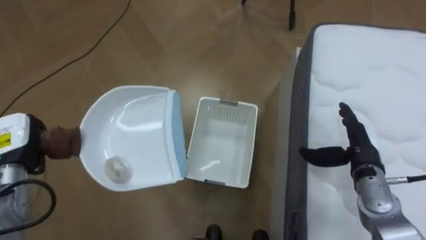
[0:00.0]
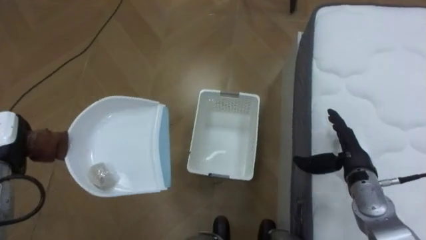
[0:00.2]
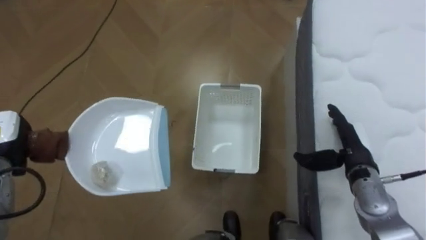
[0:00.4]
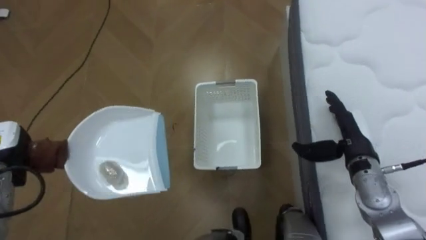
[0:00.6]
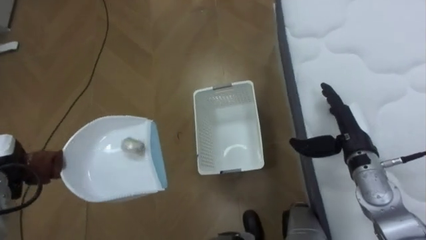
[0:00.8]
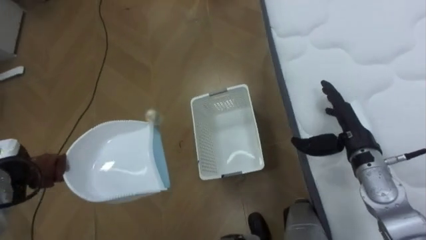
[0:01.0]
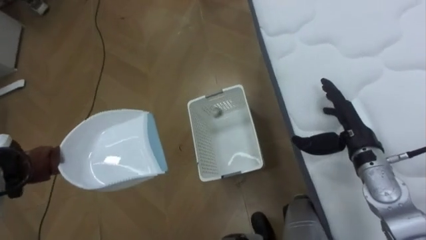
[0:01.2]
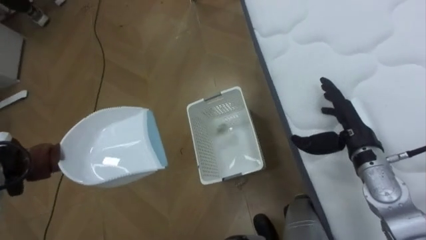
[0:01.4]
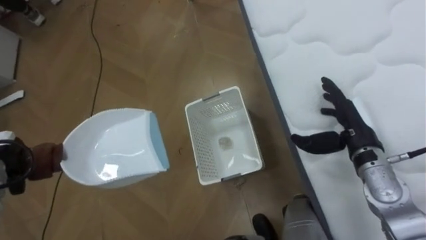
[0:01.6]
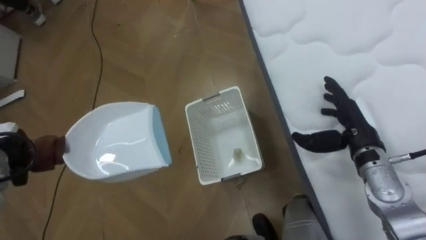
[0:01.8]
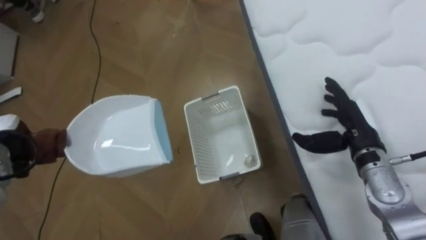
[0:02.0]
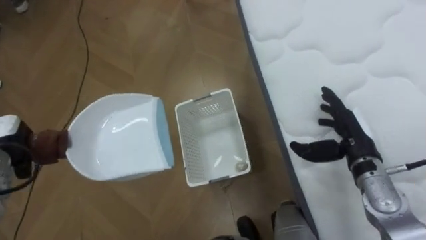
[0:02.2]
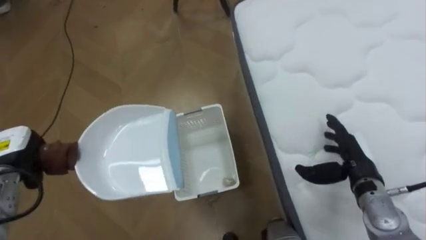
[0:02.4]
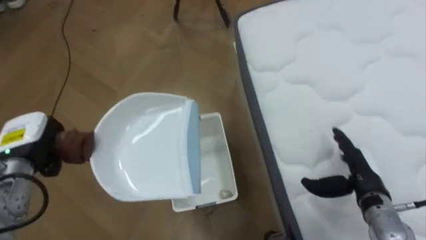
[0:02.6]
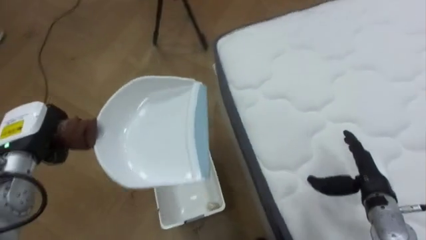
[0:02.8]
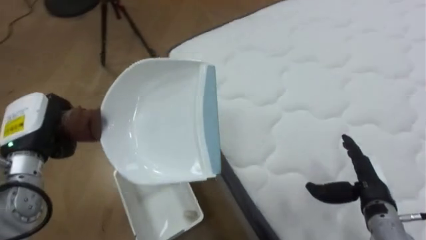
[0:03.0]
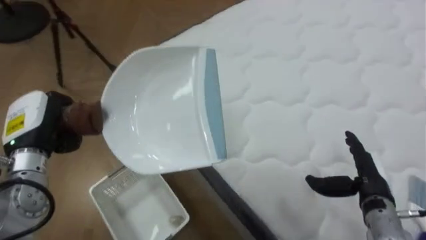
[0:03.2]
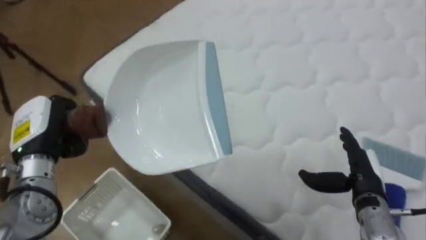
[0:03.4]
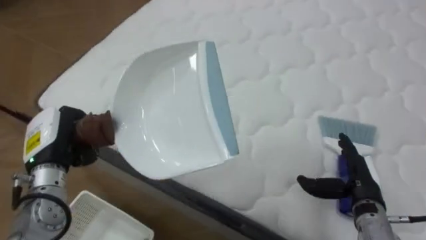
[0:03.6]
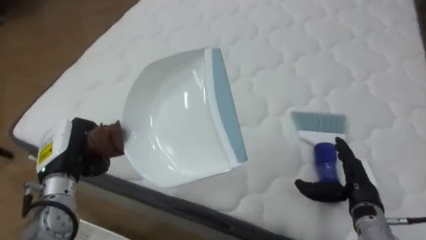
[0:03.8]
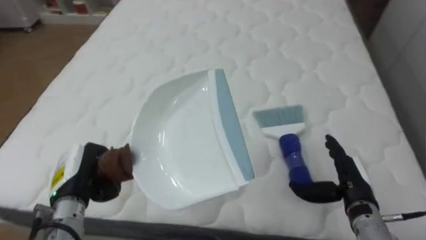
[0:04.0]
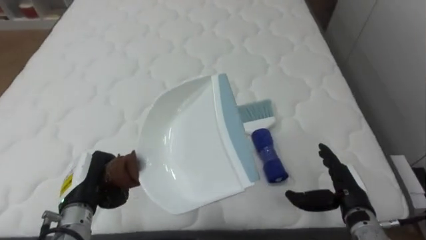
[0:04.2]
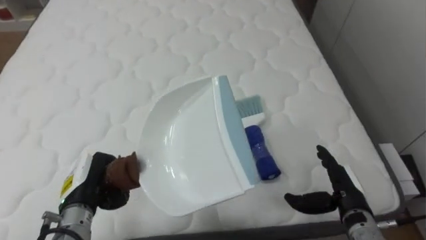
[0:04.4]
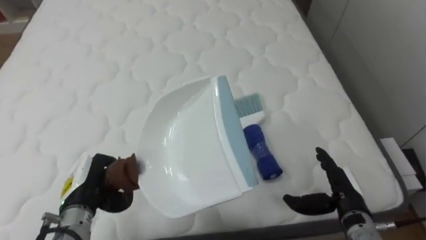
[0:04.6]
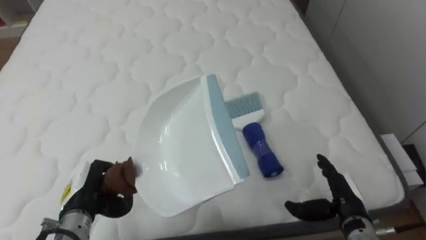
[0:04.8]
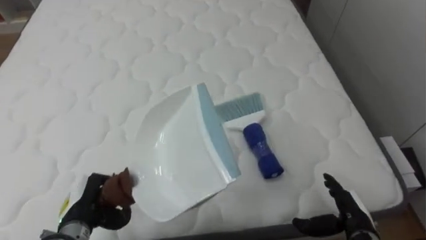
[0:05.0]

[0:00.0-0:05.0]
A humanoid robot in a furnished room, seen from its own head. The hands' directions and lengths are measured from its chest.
Task of the whole recording: Pick up the brush on your right and the dustpan on your left. Use the brush to sweep the crumpled paper on the bed into the dustpan, then turn left and empty it into the basket.
0:01.6 to 0:03.4: The robot rotates about 60 degrees to its right. The right hand is displaced backward and downward by about 10 cm. The left hand heads to the right and upward, covering about 15 cm.
0:03.4 to 0:05.0: The robot faces about 40 degrees further to its right. The left hand goes about 15 cm downward and backward. The right hand travels downward and backward by about 10 cm.

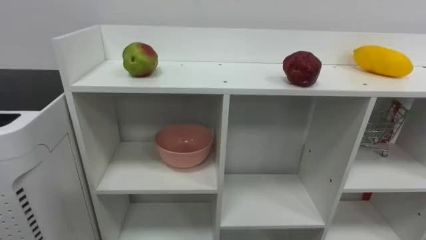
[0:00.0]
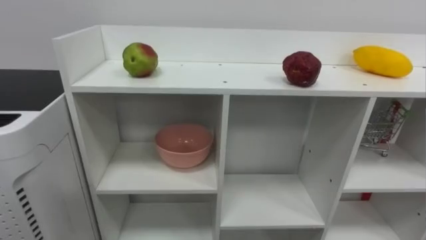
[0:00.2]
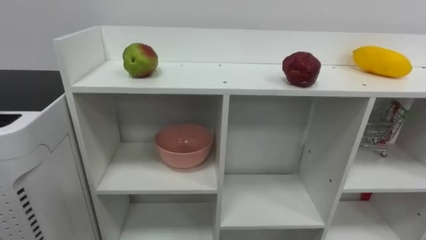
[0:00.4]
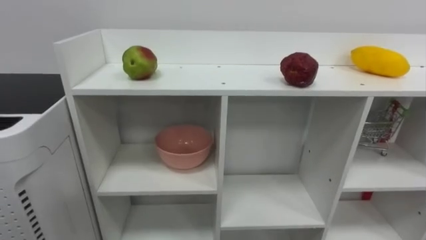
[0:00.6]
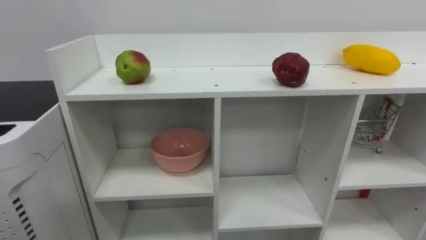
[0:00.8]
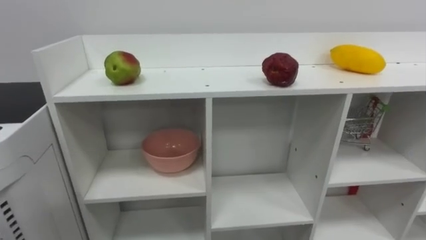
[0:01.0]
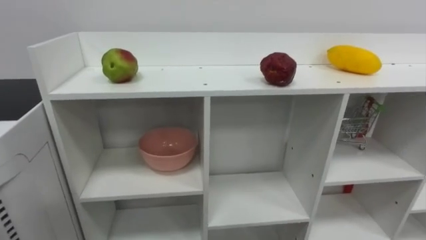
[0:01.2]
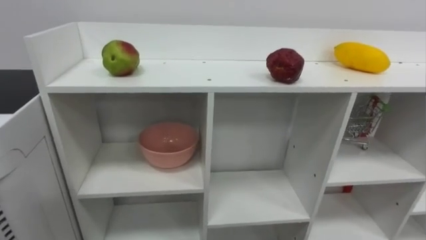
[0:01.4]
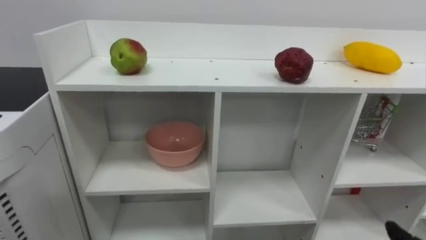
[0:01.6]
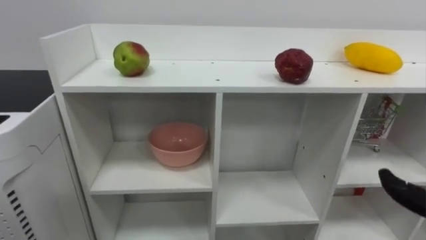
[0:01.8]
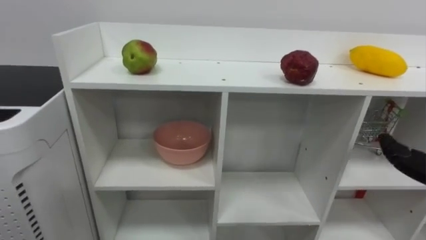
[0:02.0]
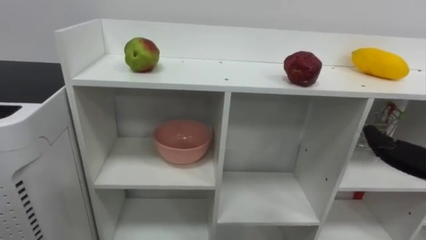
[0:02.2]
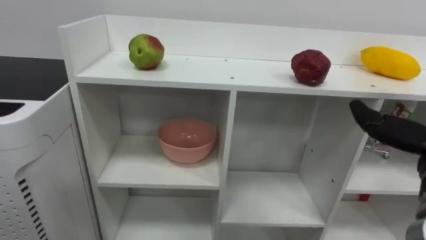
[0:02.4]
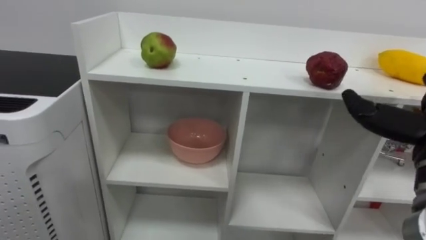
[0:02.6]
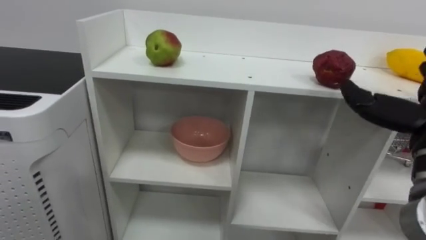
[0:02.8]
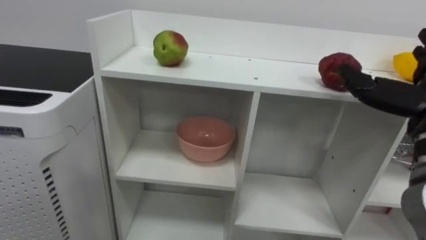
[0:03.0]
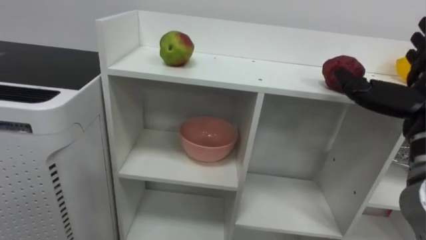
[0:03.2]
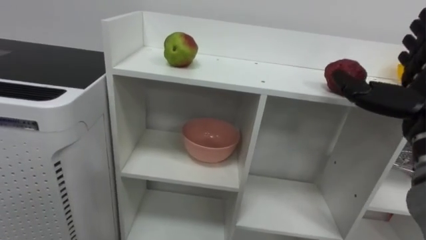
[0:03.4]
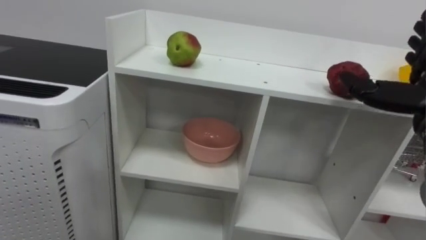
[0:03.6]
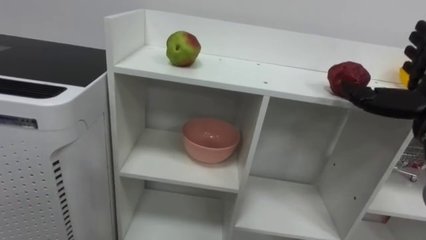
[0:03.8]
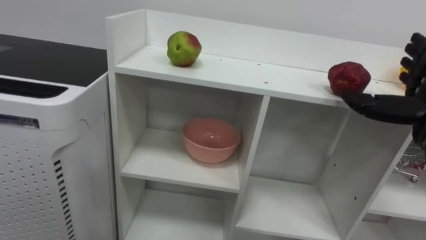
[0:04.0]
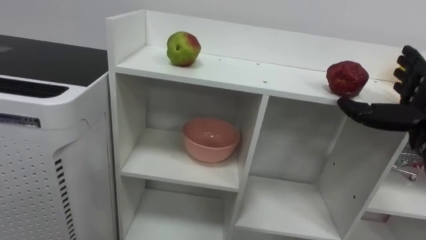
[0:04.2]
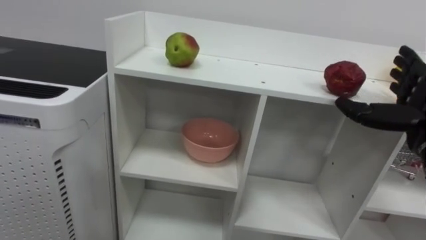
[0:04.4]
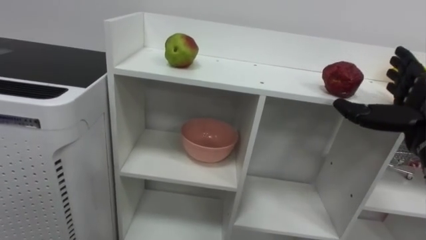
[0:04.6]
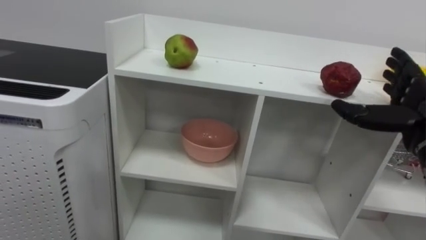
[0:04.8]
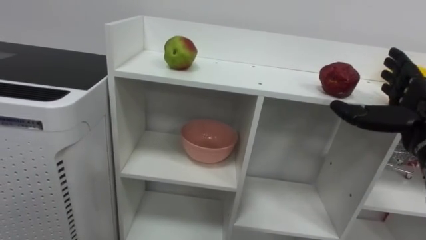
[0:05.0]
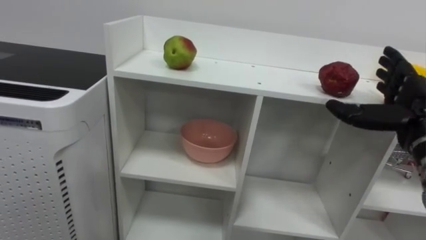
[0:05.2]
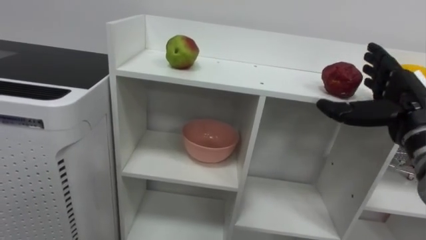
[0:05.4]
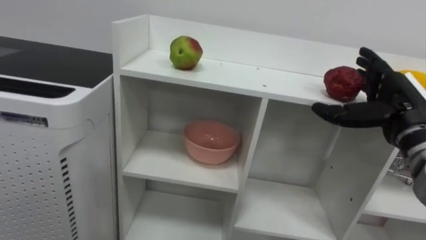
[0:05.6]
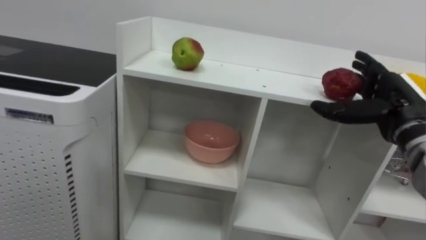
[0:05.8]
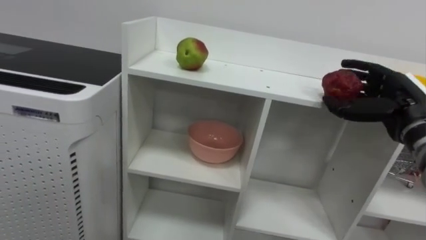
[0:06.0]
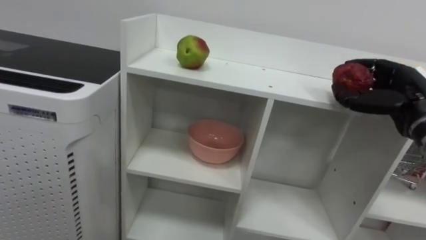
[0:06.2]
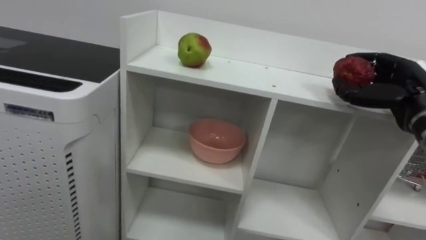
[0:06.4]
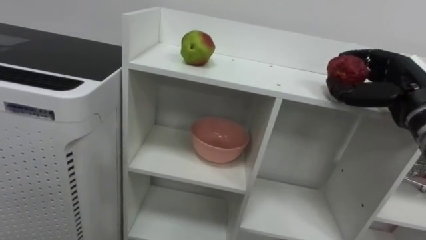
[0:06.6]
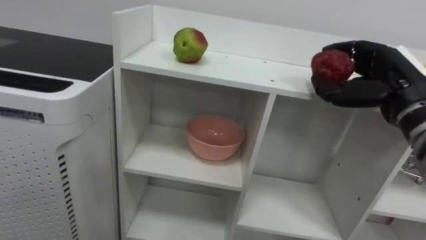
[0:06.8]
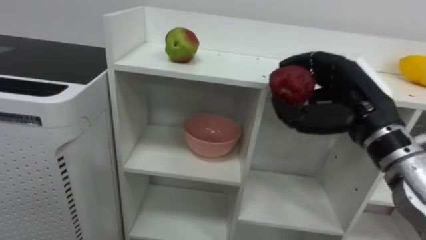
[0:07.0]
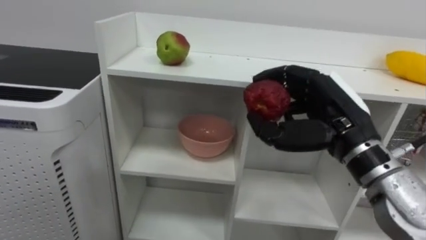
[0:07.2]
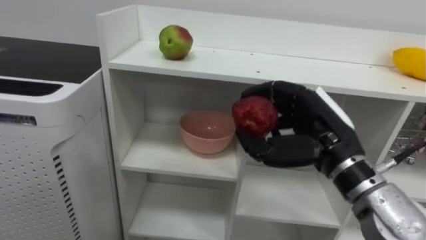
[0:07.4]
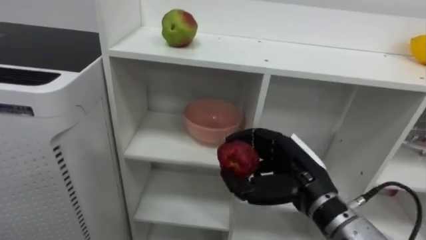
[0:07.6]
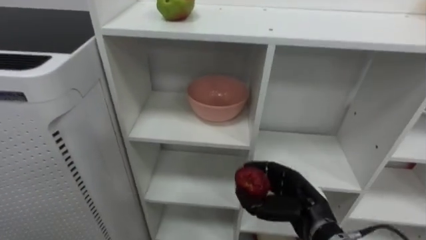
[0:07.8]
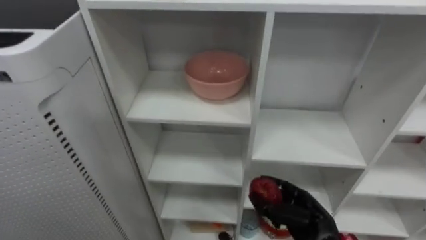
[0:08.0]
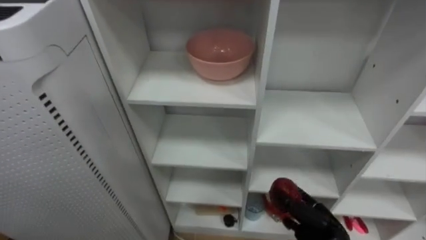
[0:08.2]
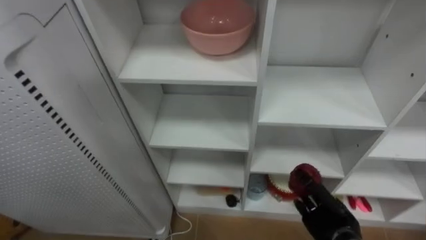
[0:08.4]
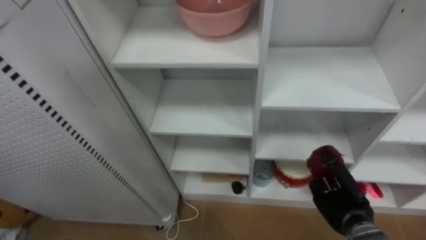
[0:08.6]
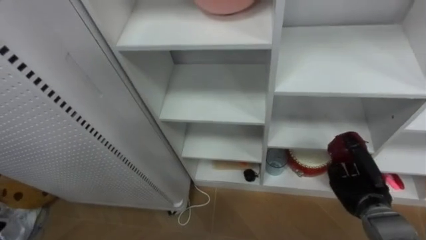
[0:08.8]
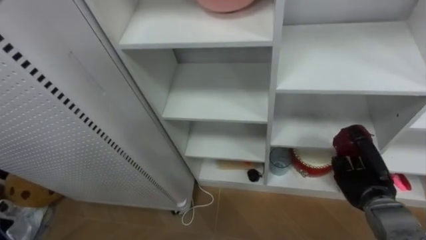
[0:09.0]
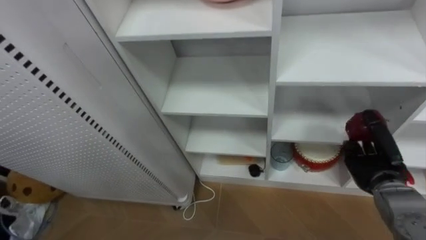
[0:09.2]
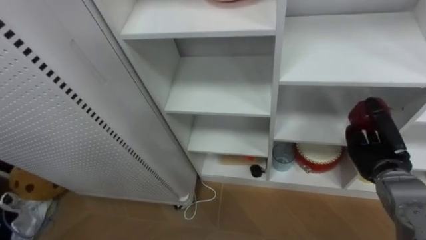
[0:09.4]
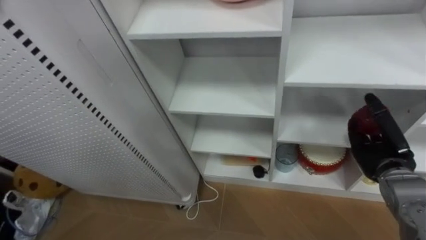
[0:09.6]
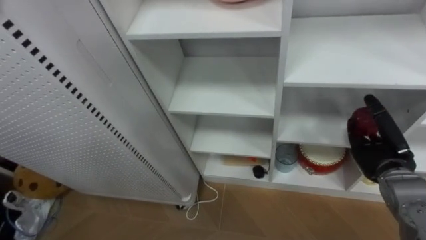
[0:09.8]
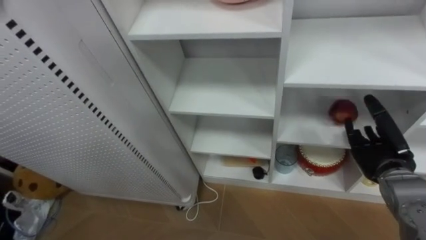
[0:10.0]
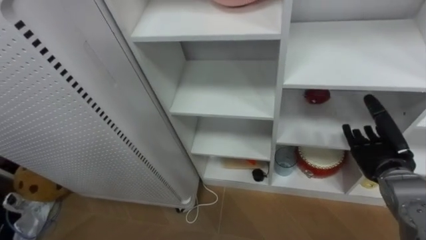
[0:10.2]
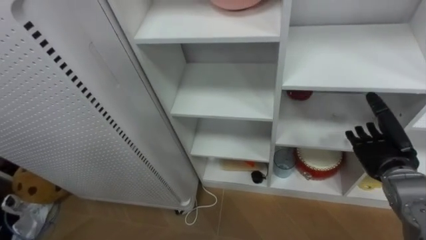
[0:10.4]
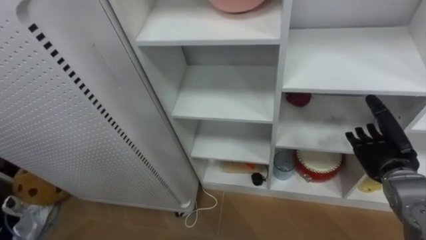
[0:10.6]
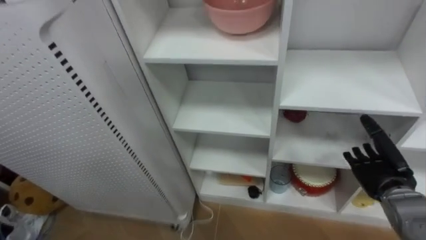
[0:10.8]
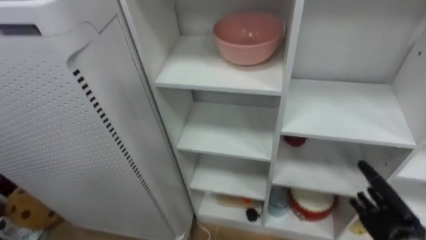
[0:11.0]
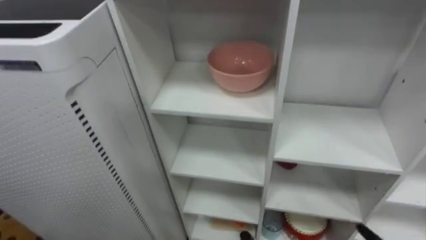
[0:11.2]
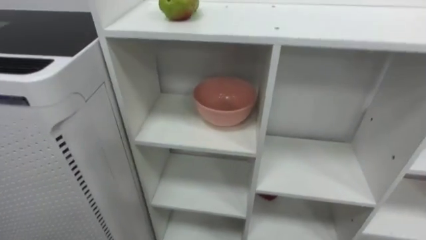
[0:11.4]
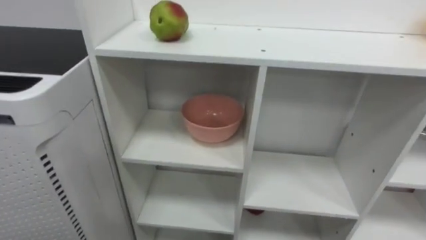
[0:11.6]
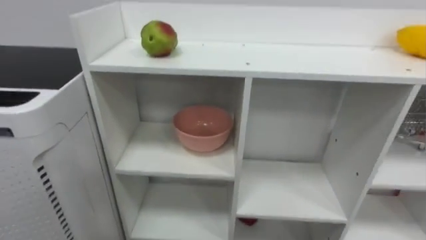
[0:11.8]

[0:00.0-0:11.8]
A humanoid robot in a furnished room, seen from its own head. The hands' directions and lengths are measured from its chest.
Task of the whole recording: Put the apple in the cell in the second column from the left and the second row from the top.
0:06.0 to 0:07.4: The right hand travels to the left and backward by some 15 cm.
0:07.4 to 0:08.8: The right hand heads downward and to the right, covering approximately 20 cm.
0:08.8 to 0:10.4: The right hand moves upward, roughly 5 cm, and opens its fingers.
